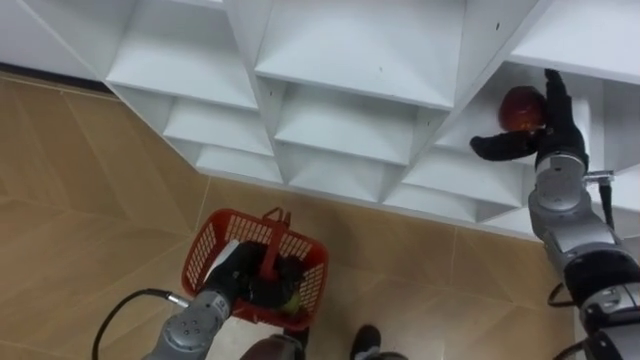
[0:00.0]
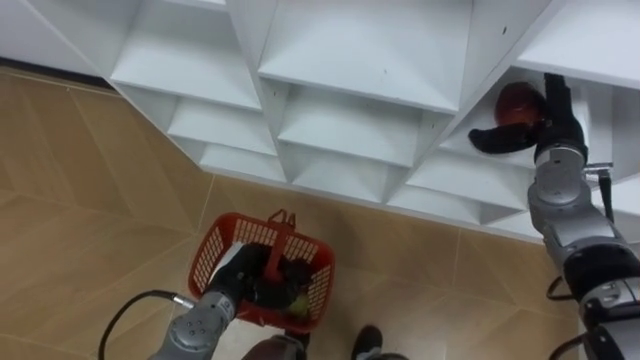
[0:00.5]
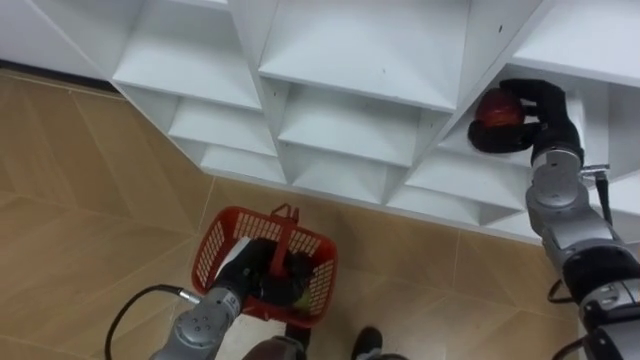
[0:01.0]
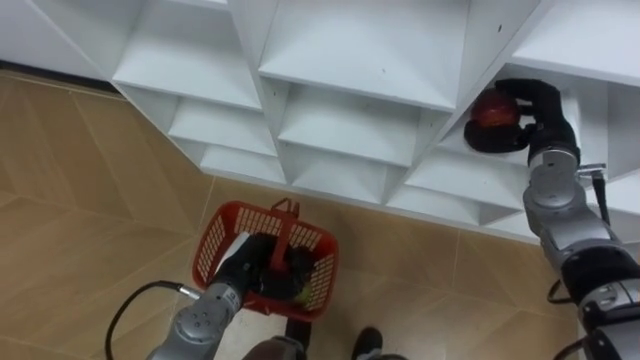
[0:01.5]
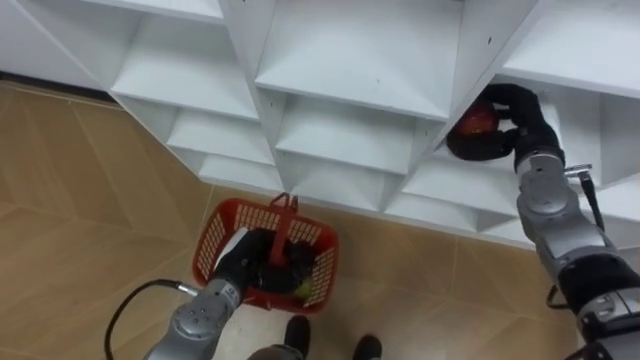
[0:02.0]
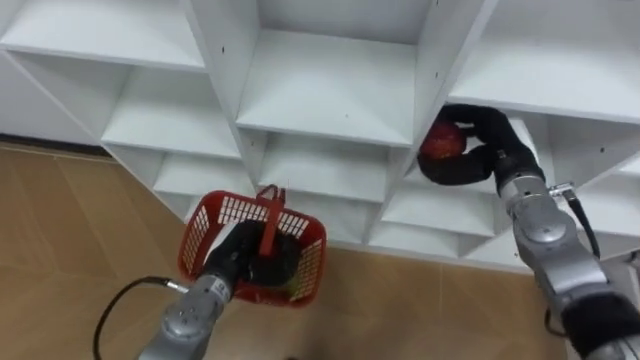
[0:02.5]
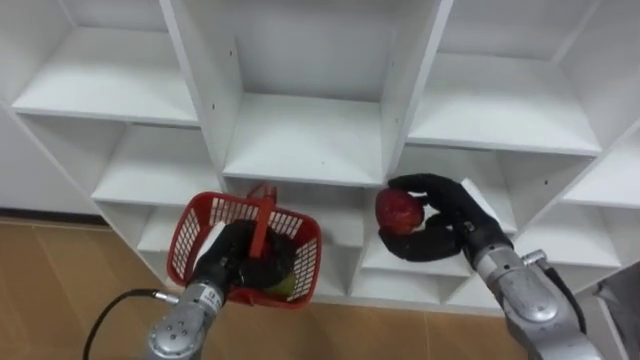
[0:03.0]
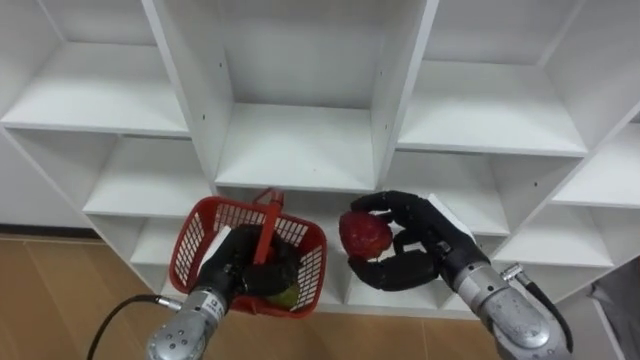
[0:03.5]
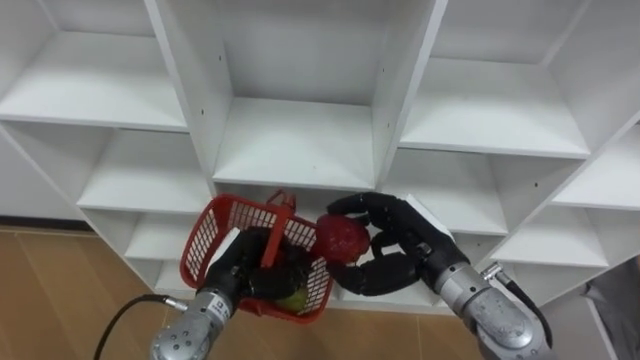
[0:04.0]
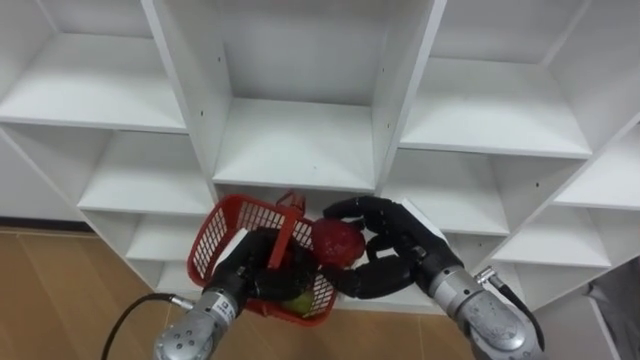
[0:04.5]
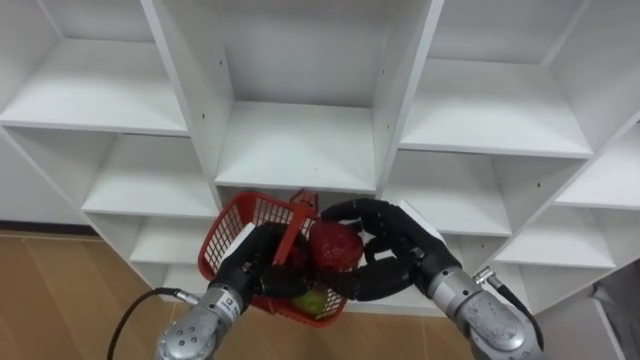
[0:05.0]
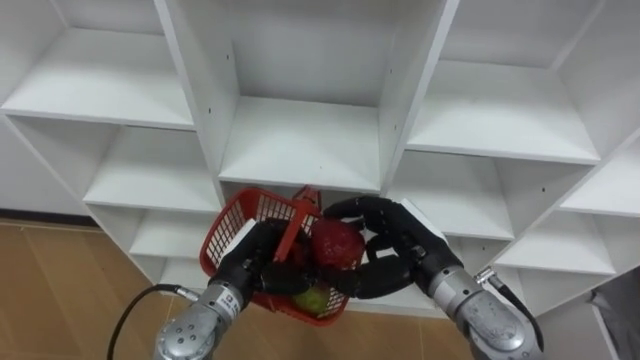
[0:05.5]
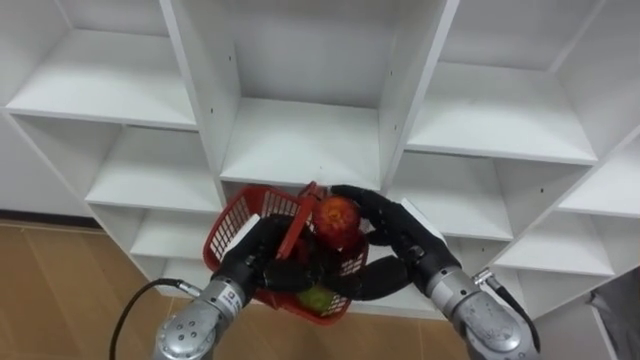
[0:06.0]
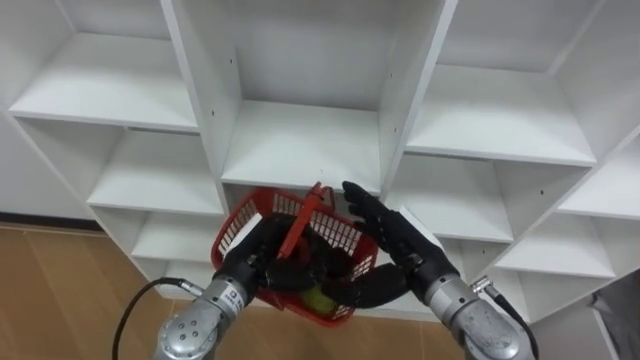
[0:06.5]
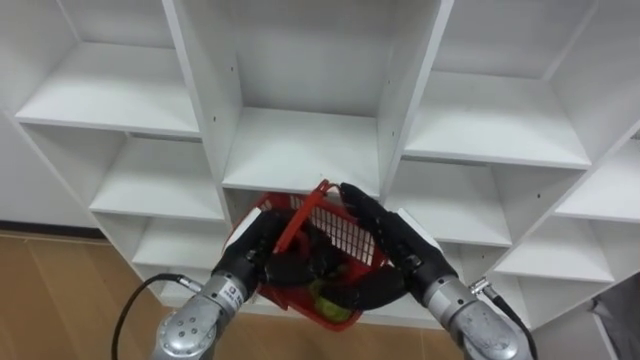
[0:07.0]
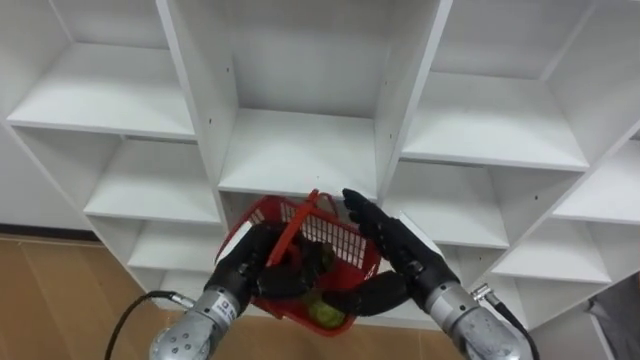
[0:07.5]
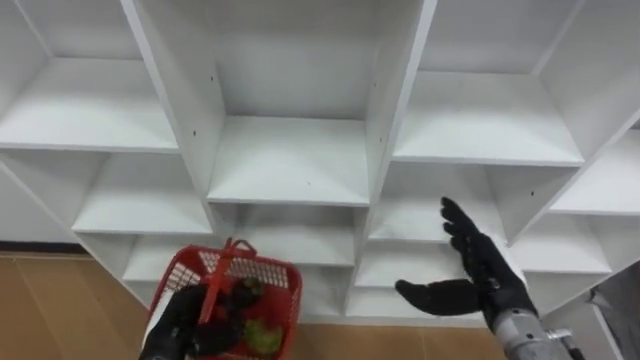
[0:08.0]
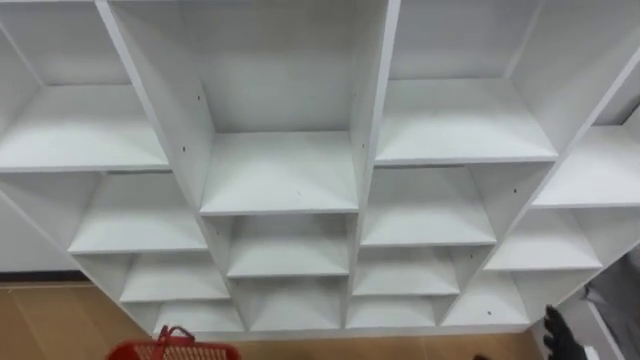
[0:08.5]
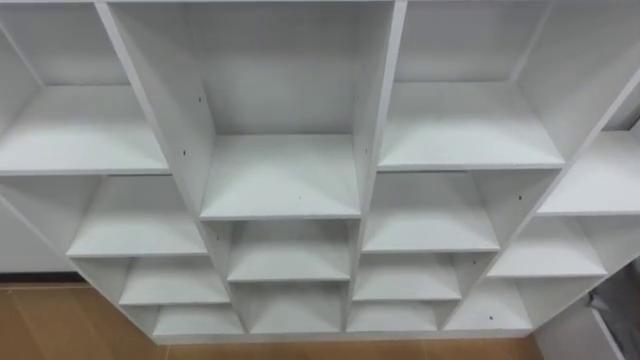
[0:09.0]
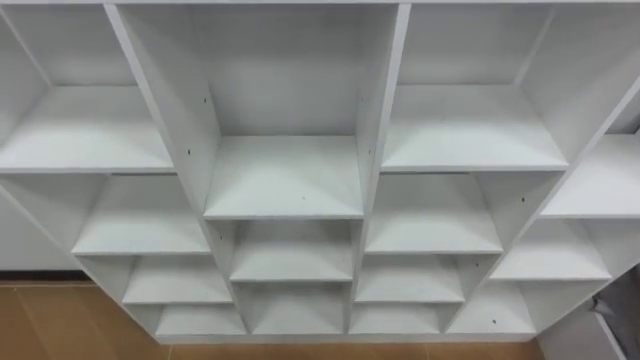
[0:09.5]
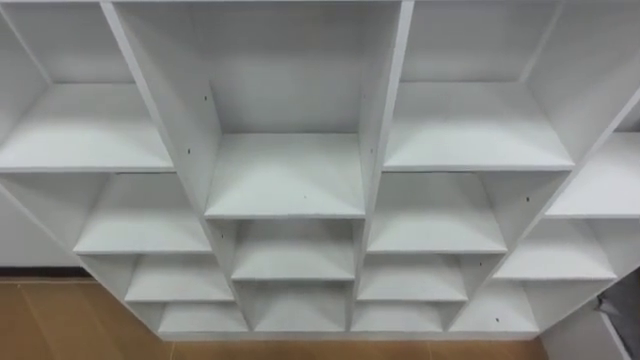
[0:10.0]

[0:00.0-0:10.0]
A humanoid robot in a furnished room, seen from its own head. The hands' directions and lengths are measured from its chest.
Task of the whole recording: Hold the basket and collect the fruits from 3 different cells of the closet into it.
0:00.0 to 0:02.0: The right hand closes.
0:02.0 to 0:04.0: The right hand shifts some 20 cm to the left and backward.
0:04.0 to 0:06.0: The hands make only small movements.
0:06.0 to 0:08.0: The left hand goes some 15 cm to the left, backward and downward; the right hand shifts roughly 10 cm to the right.

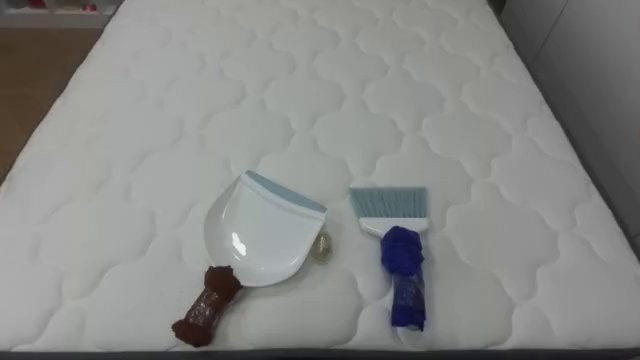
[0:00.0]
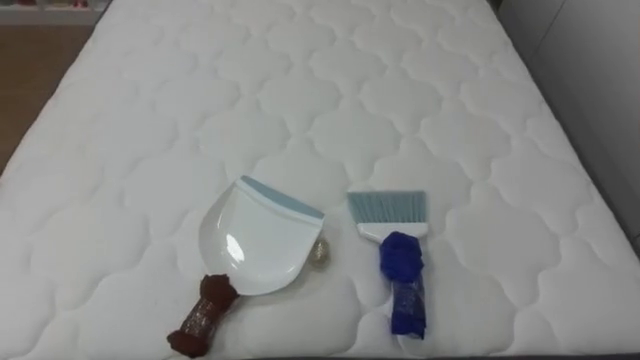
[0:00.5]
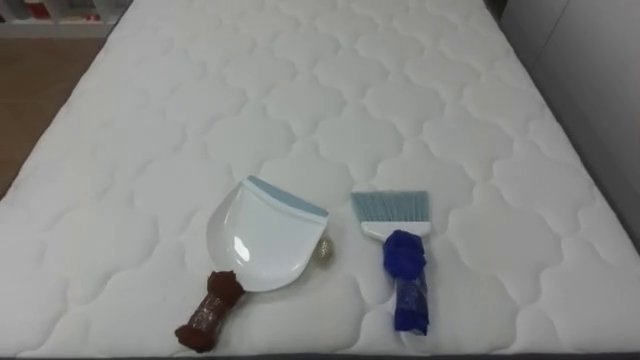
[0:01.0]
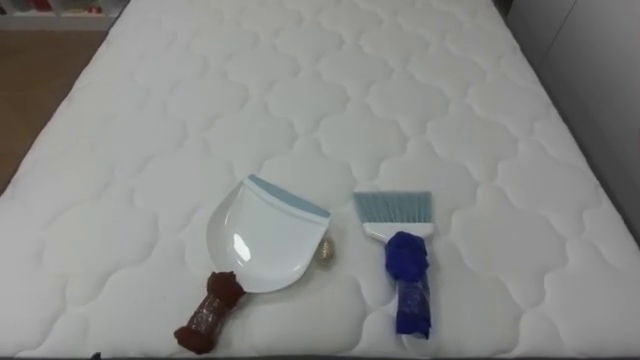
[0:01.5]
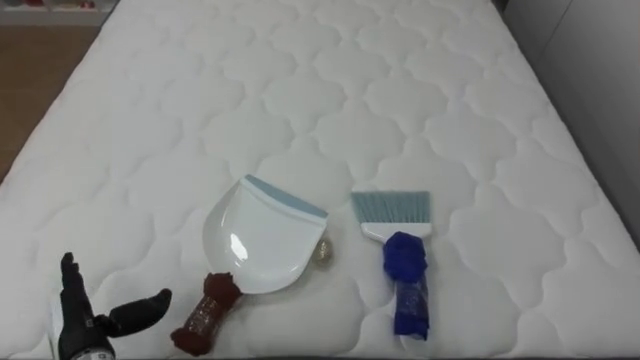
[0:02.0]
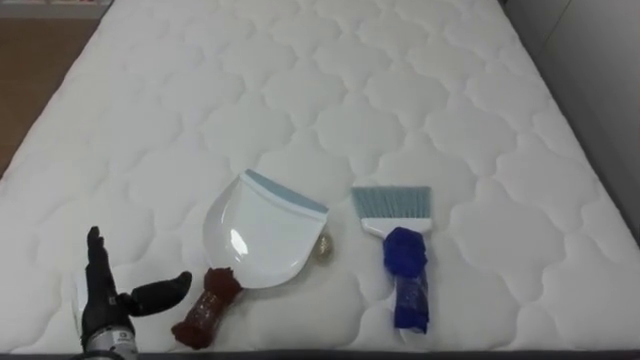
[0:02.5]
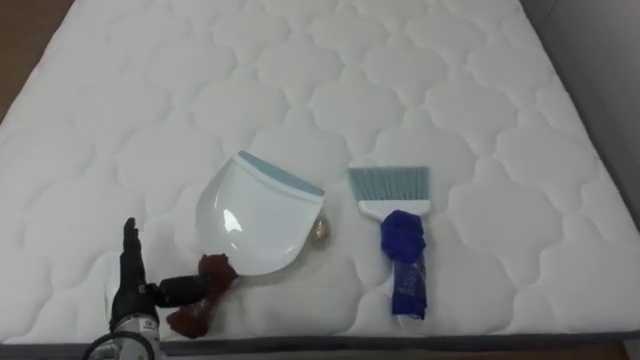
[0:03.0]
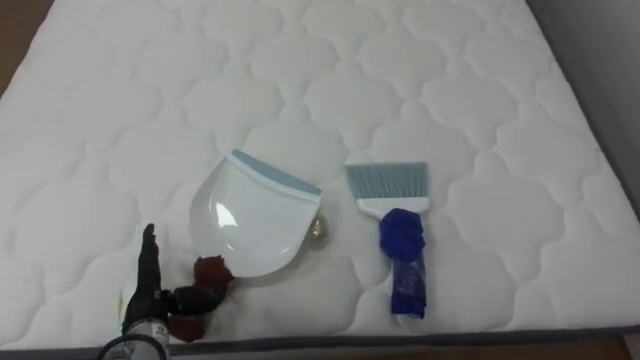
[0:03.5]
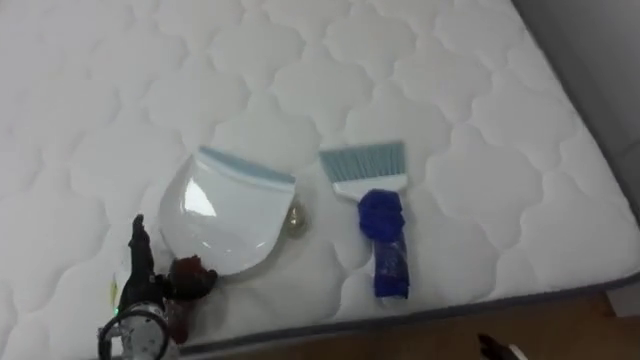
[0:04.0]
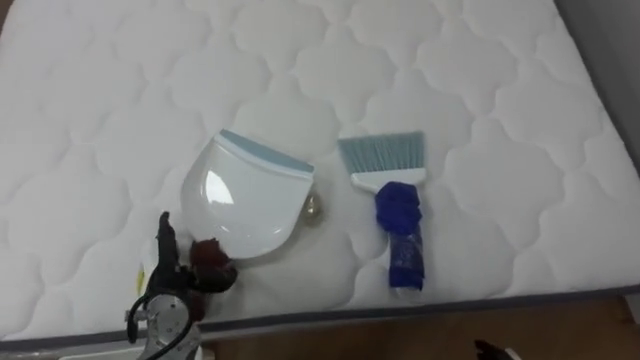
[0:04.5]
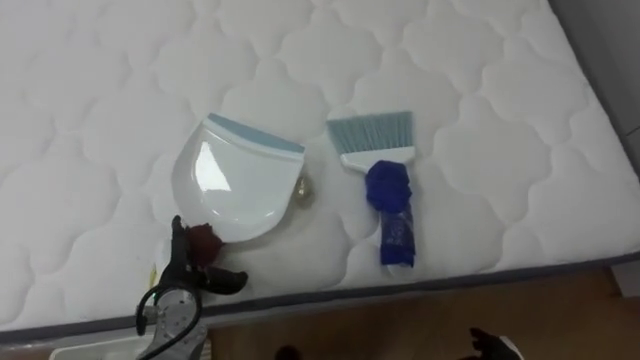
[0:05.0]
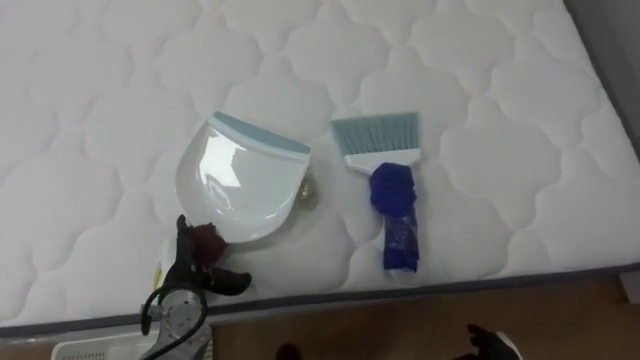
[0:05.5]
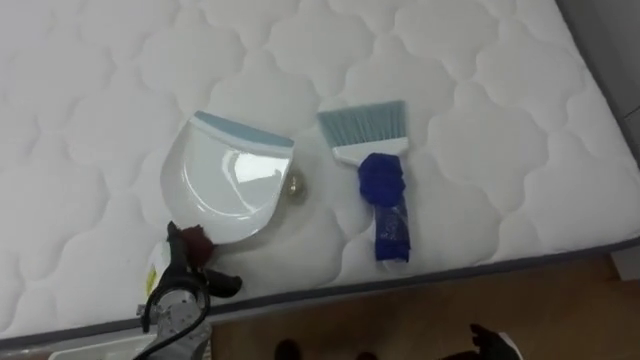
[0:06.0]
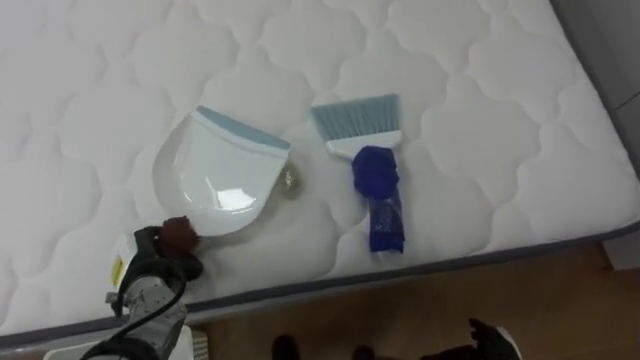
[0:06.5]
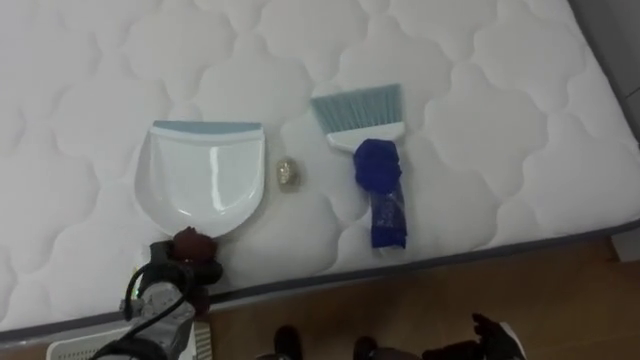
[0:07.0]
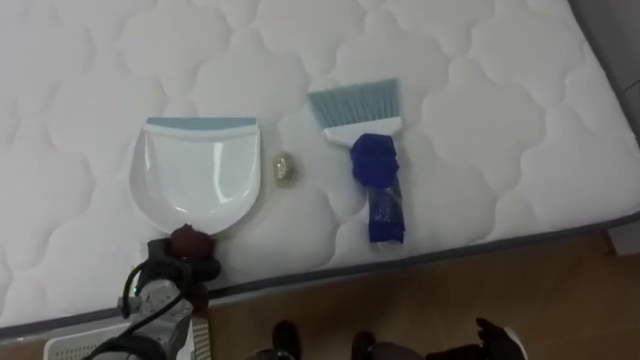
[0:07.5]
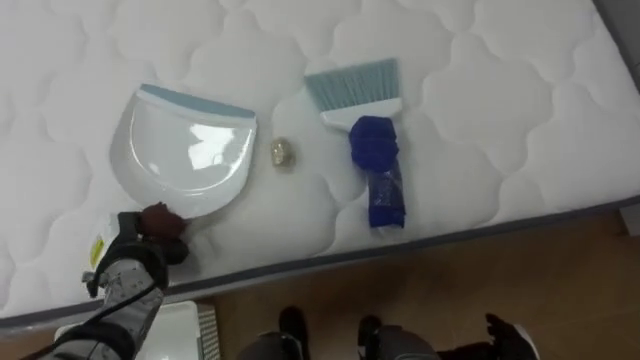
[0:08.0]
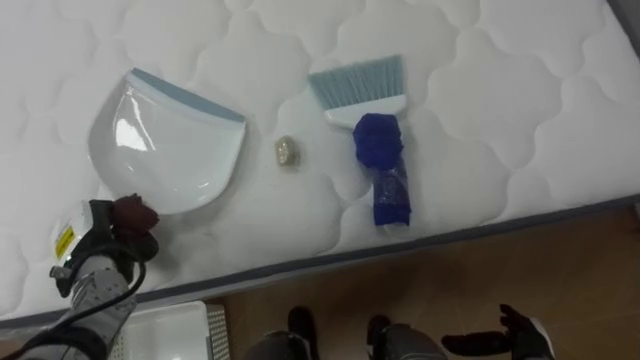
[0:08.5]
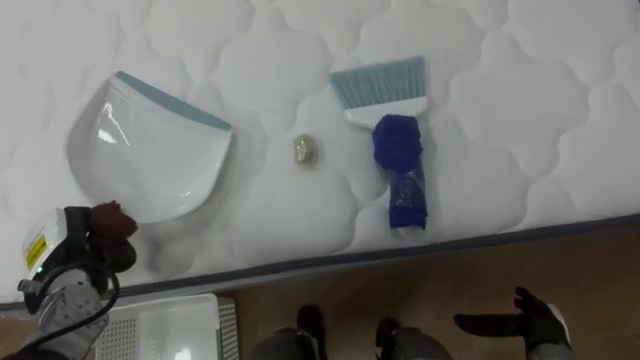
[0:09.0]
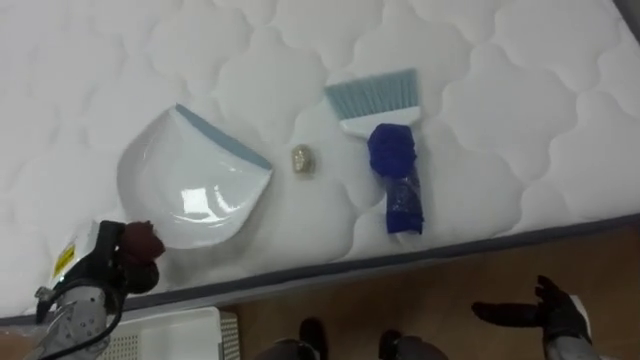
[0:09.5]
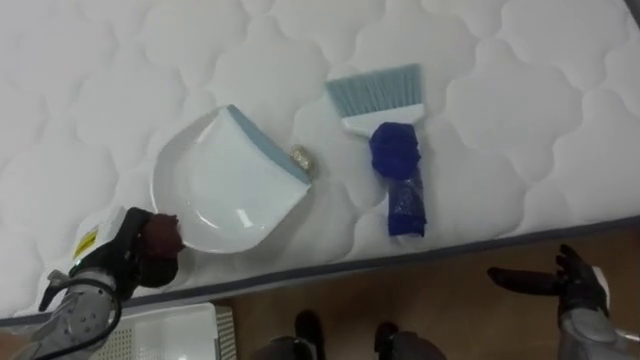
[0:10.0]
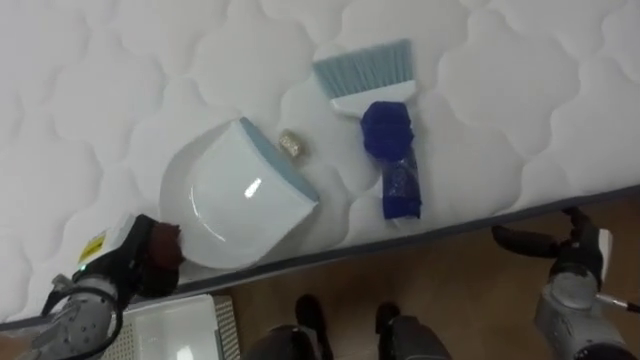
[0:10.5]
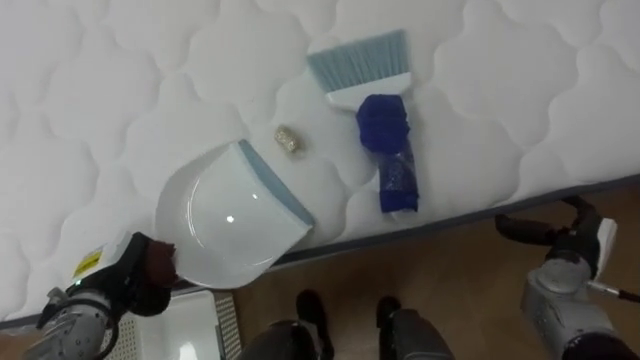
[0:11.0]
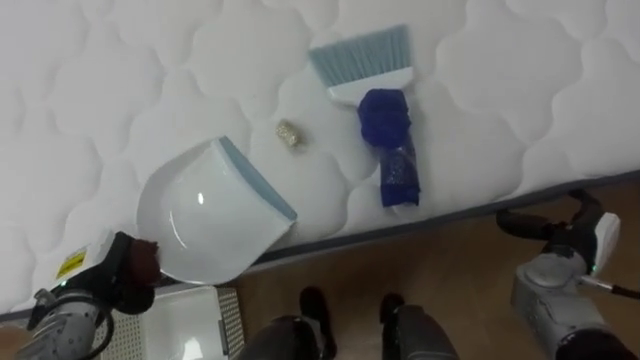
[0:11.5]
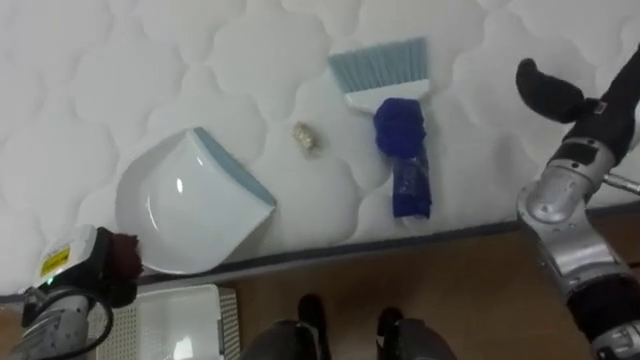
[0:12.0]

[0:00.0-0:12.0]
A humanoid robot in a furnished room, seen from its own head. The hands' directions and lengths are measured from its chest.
Task of the whole recording: Pick up the brush on your right and the dustpan on your left. Use the brush to sweep the crumpled paper on the bed into the dustpan, then turn left and empty it into the basket.
0:02.0 to 0:04.0: The left hand is displaced forward and to the right by approximately 10 cm.
0:04.0 to 0:06.0: The left hand ends up about 5 cm from where it was.
0:06.0 to 0:08.0: The left hand shifts some 5 cm to the left, and closes its fingers.
0:10.0 to 0:12.0: The left hand changes place by roughly 5 cm, while the right hand heads upward and forward, covering approximately 25 cm.
